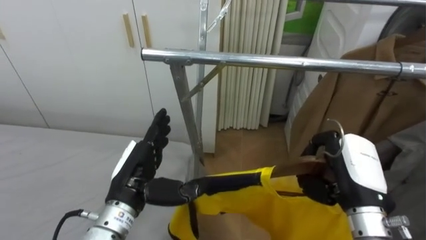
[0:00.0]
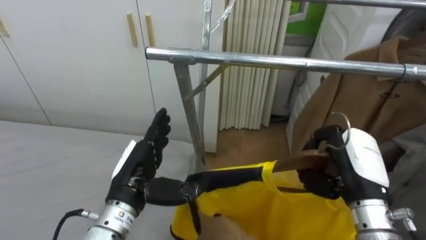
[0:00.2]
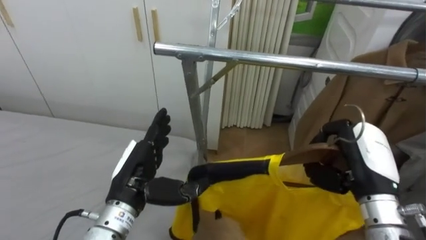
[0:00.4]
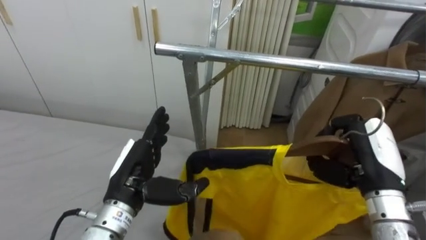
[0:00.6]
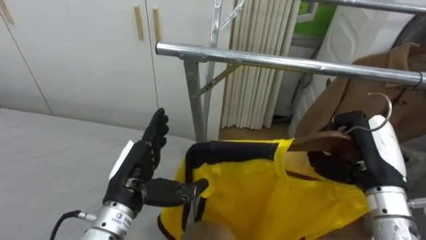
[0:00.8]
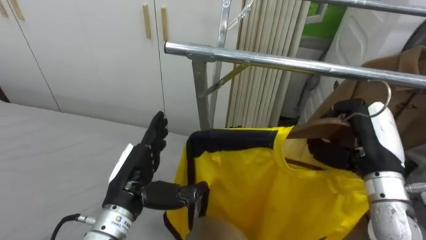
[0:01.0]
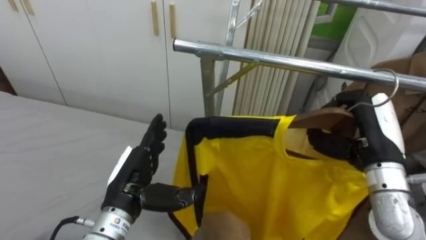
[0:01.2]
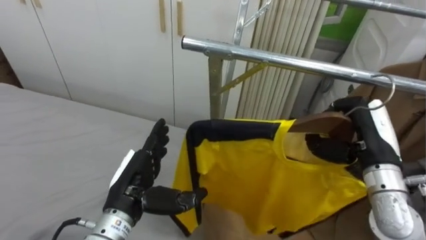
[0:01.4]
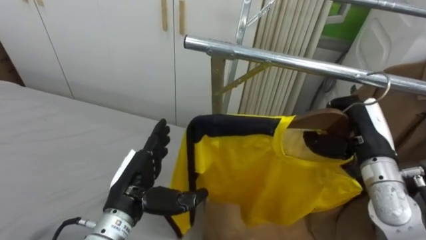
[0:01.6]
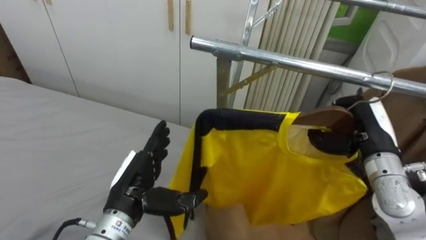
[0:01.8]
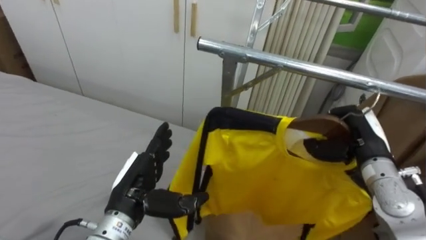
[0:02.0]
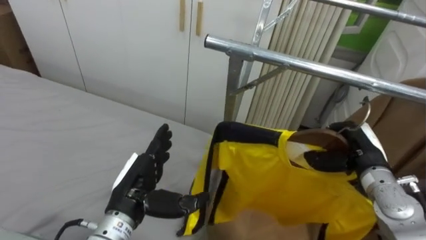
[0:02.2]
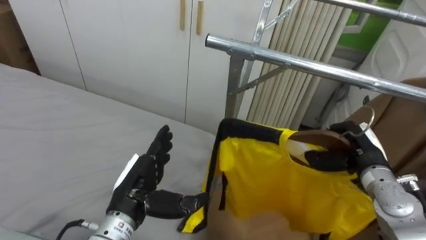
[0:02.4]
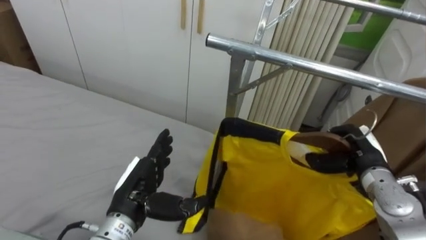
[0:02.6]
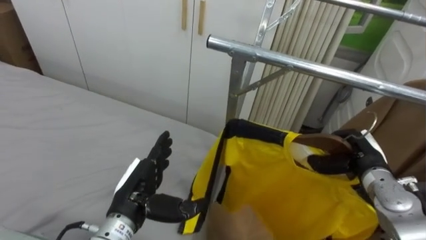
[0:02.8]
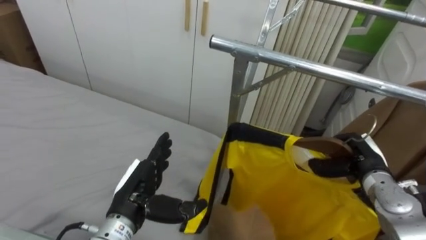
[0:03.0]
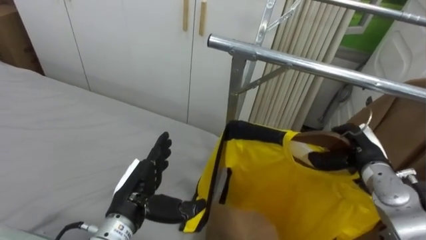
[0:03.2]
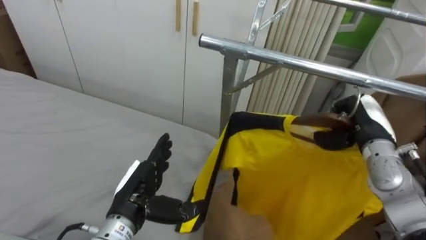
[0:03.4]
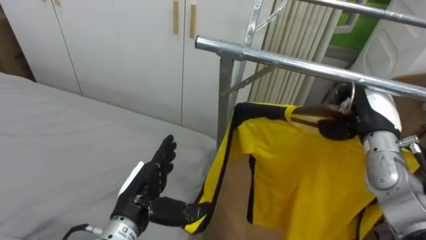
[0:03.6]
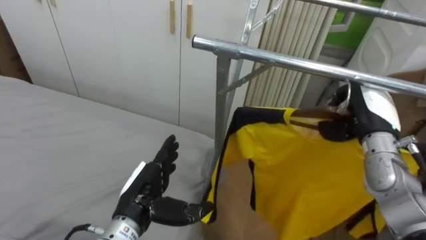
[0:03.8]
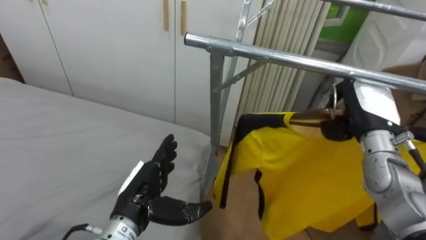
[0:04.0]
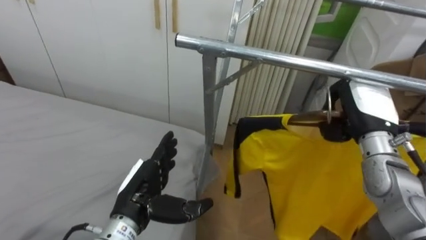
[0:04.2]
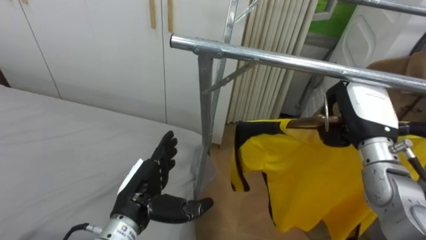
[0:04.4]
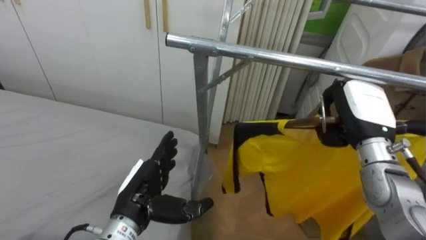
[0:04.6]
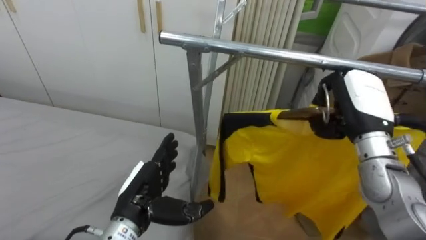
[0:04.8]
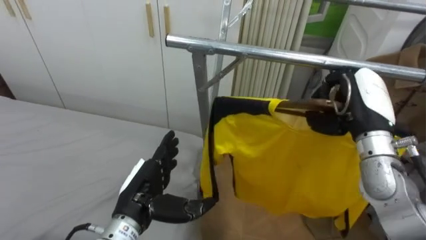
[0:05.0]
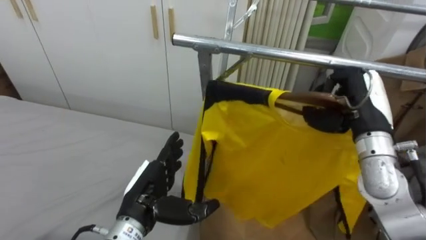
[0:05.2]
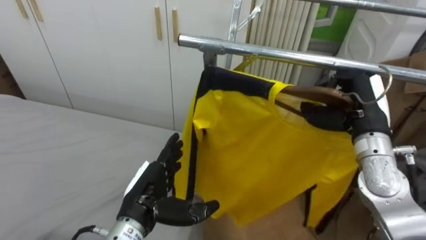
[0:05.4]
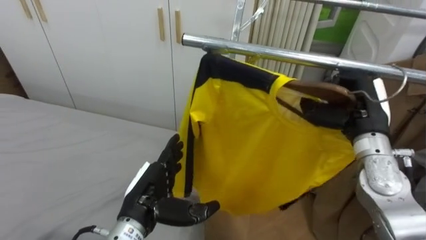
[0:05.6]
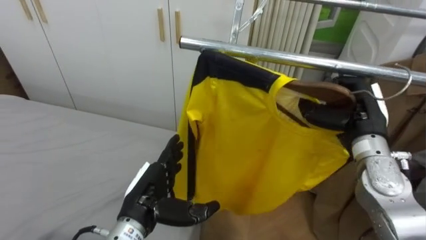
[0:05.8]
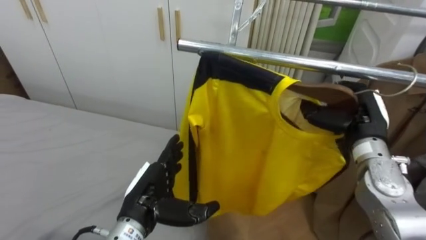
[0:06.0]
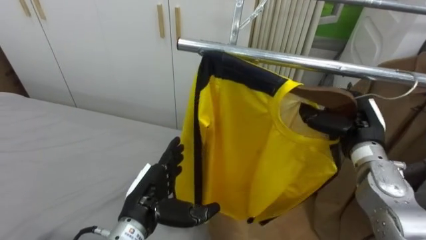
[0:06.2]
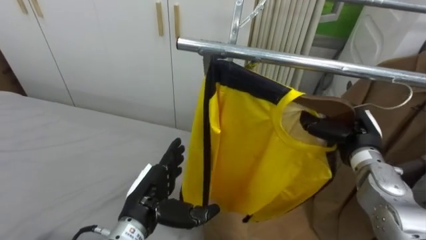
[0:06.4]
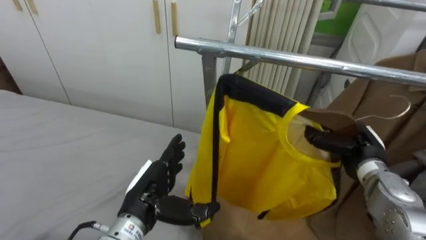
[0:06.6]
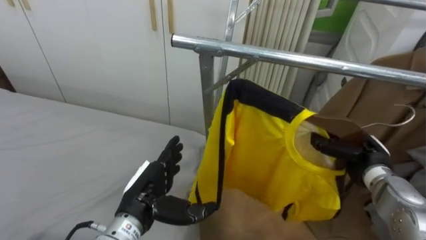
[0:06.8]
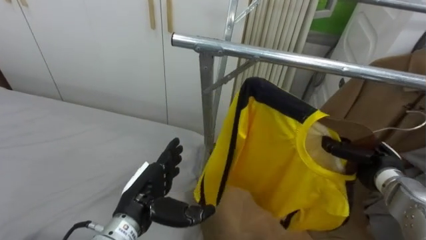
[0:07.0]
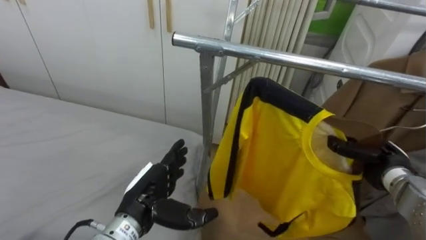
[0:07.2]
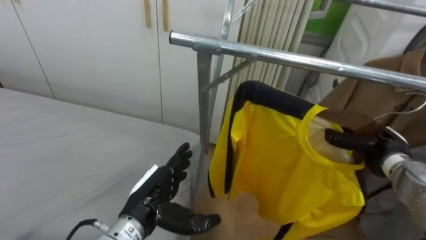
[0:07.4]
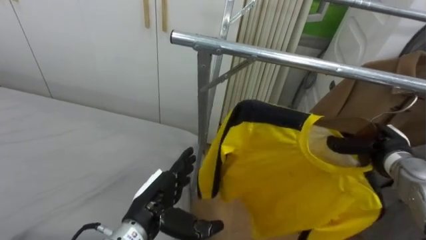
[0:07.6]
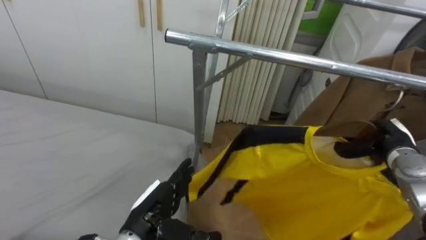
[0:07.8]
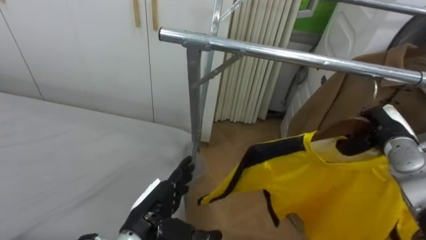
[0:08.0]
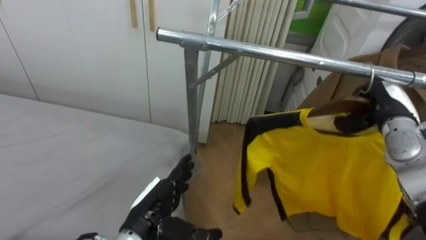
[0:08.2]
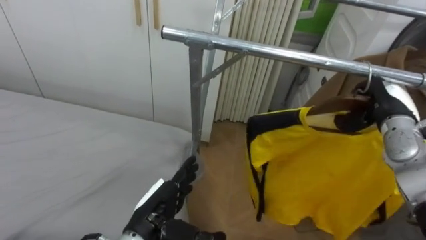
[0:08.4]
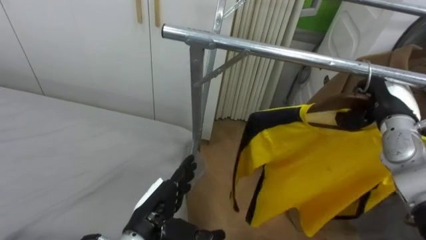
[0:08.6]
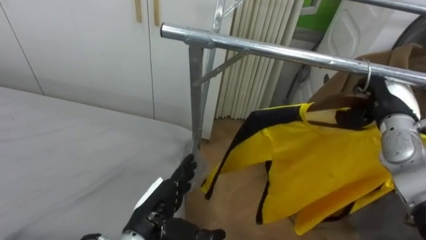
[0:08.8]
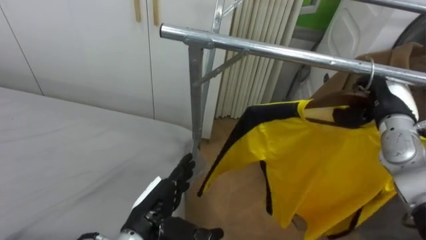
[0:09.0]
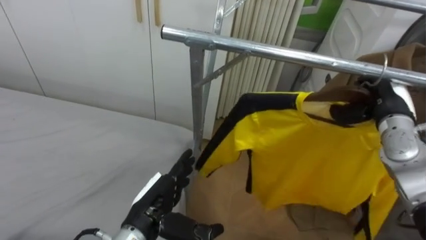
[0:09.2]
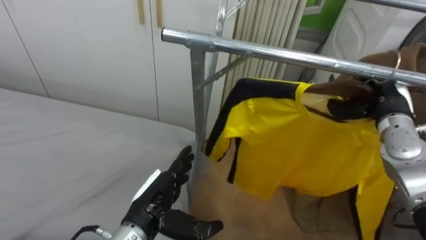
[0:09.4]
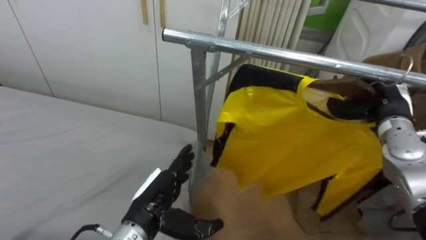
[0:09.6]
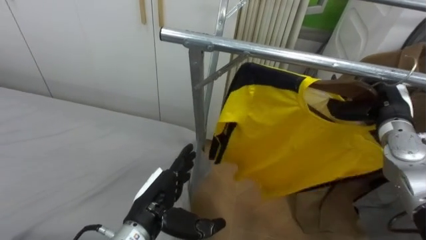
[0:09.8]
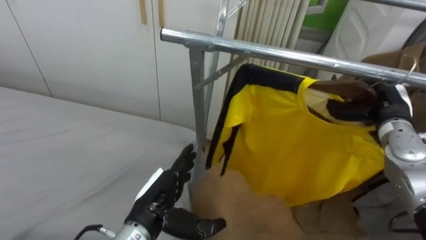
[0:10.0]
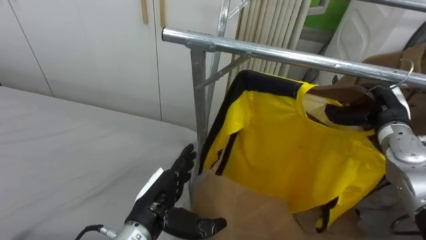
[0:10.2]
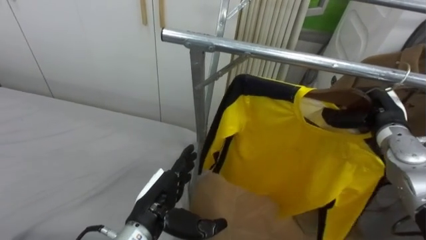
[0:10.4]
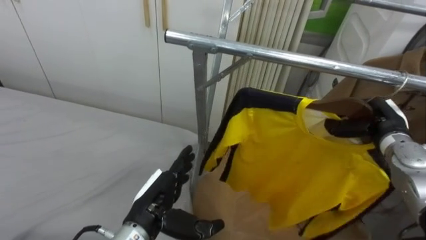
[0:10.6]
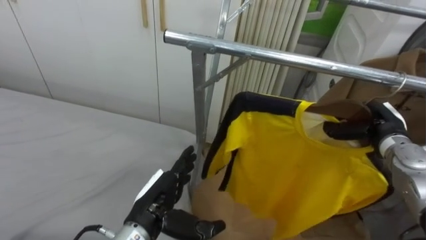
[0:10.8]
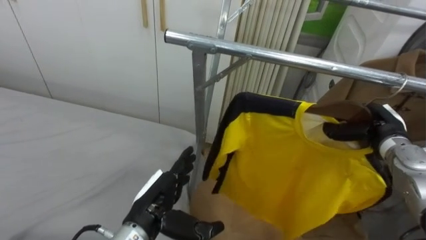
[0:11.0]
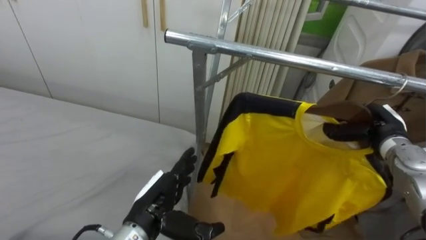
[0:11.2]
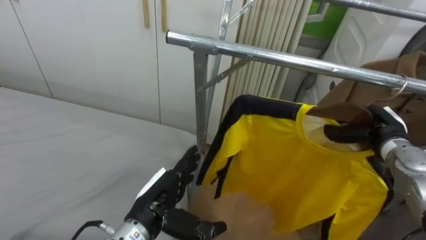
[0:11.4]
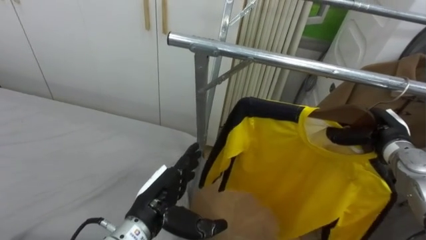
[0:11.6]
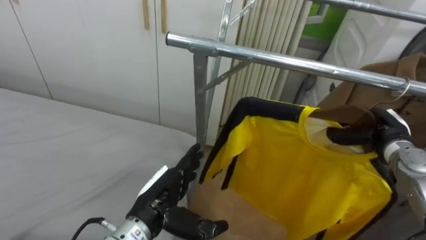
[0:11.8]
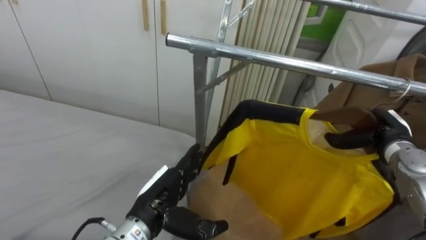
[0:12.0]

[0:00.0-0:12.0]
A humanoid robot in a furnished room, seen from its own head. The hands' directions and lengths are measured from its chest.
Task of the whole recording: Pick up the yellow shirt on the bed and hang it on the clothes rack on the right.
0.0 to 1.6 s: The right hand heads forward, covering approximately 5 cm.
1.6 to 3.0 s: The right hand moves downward, some 10 cm.
3.0 to 4.4 s: The right hand heads upward, covering approximately 10 cm.
6.0 to 7.6 s: The right hand goes roughly 10 cm downward and to the right.
7.6 to 9.0 s: The right hand travels upward by approximately 10 cm.

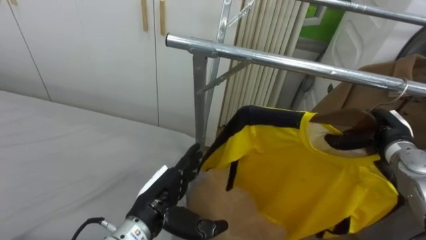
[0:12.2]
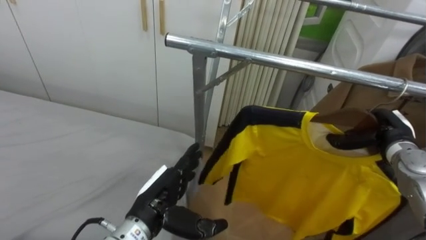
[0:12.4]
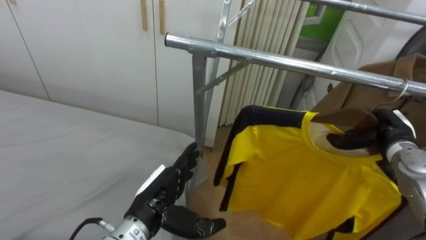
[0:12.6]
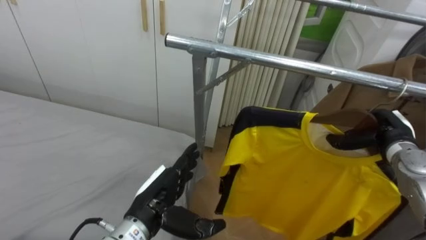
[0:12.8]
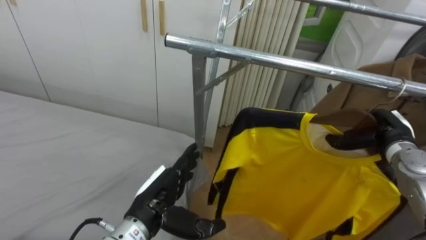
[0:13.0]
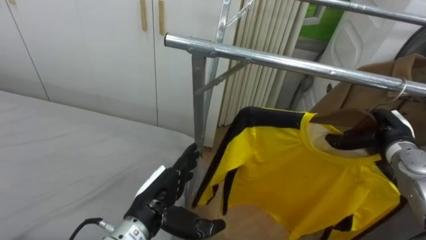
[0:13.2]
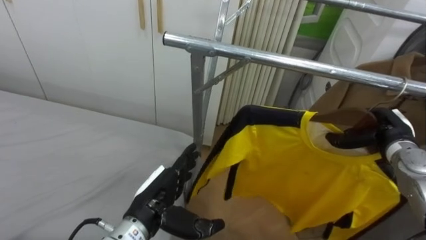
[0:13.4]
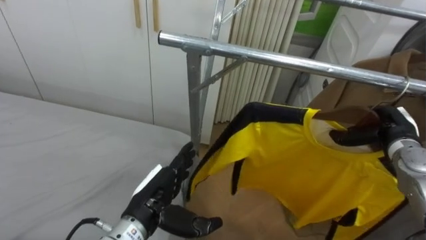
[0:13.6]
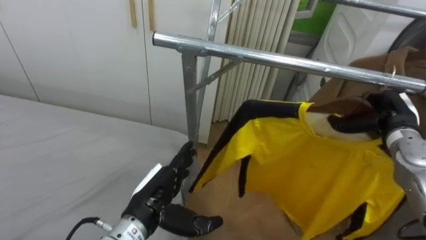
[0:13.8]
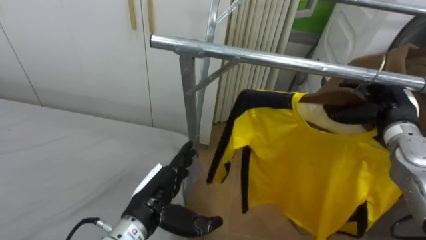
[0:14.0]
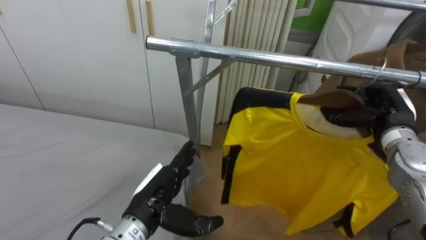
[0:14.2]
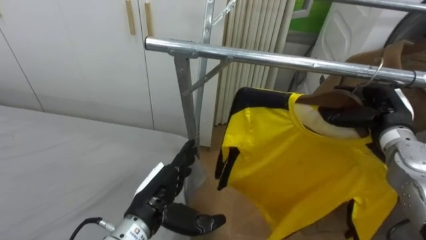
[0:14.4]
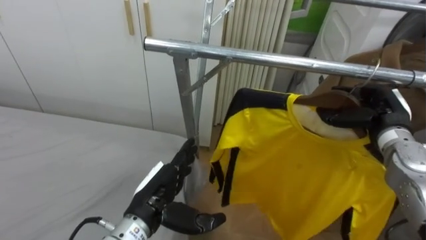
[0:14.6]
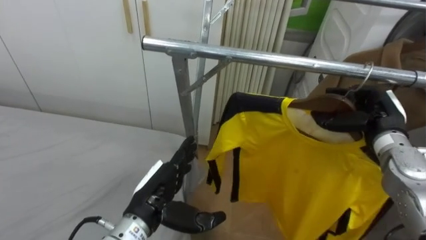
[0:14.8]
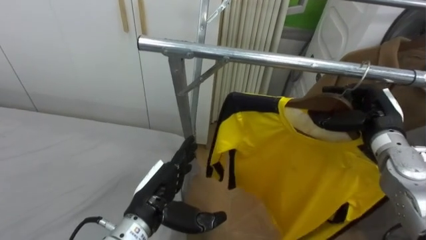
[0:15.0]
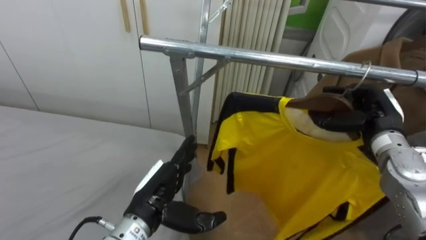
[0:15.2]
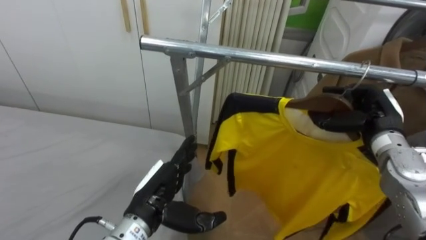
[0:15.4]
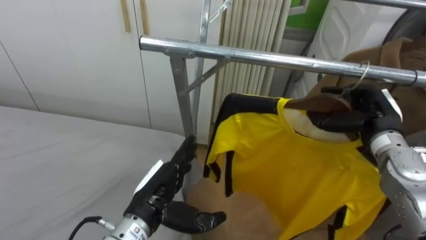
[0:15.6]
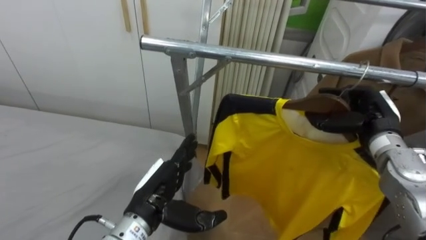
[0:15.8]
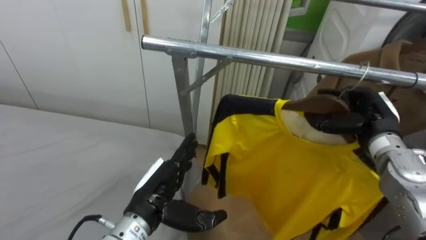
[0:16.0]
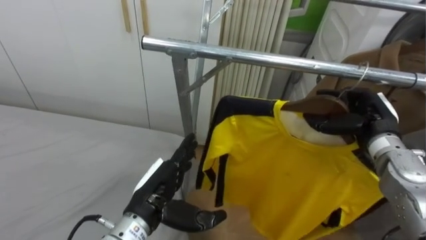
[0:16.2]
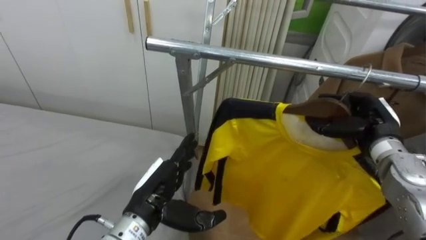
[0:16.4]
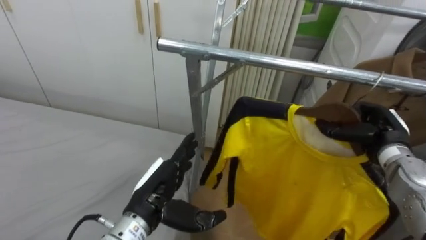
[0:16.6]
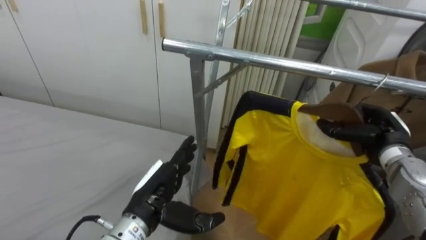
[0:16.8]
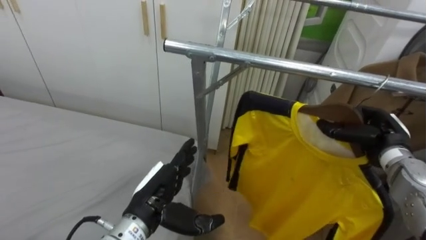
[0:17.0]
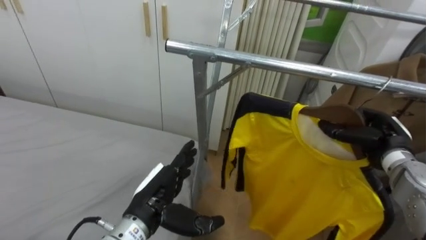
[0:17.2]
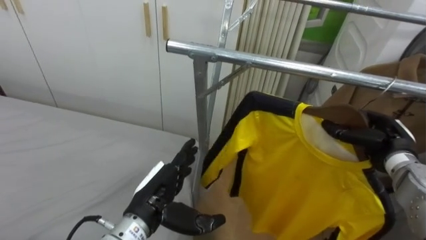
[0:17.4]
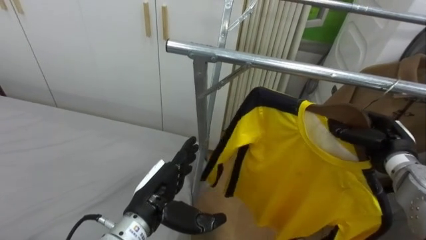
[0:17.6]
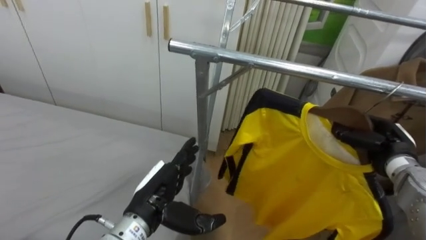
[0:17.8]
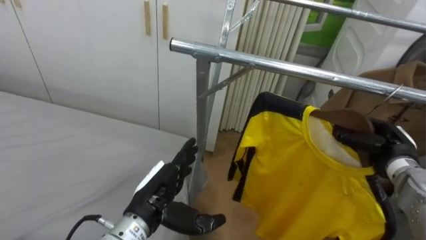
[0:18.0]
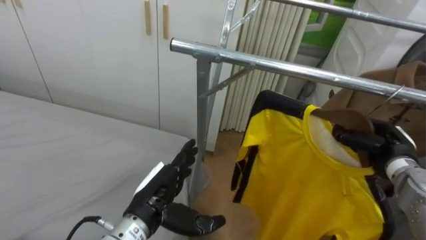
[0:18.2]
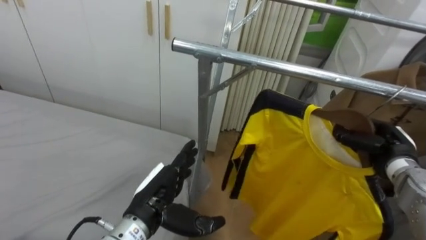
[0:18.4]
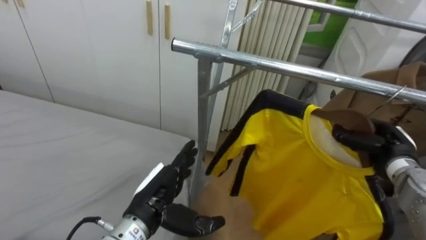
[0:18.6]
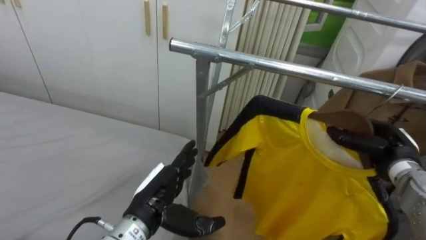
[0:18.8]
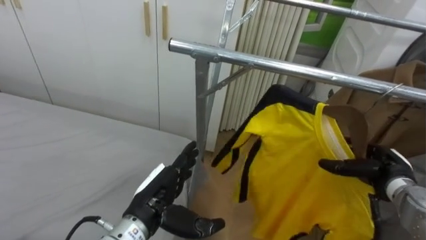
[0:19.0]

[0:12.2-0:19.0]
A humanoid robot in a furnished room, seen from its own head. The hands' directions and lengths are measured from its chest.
Task of the whole recording: Pick up the yellow shirt on the bed and hang it on the clothes rack on the right.
12.2 to 13.6 s: Neither hand changes place.
13.6 to 15.0 s: The right hand shifts by some 5 cm.
16.2 to 17.6 s: The right hand moves downward, about 5 cm.
17.6 to 19.0 s: The right hand shifts by roughly 5 cm, and opens its fingers.
